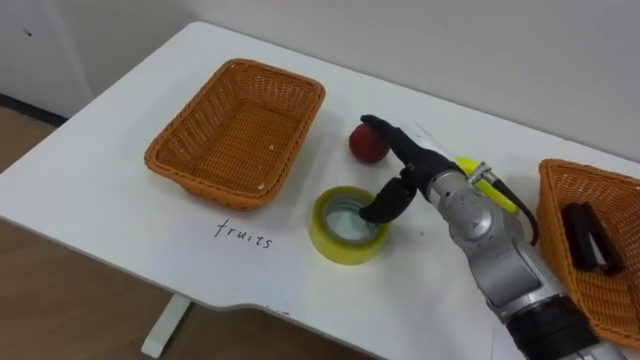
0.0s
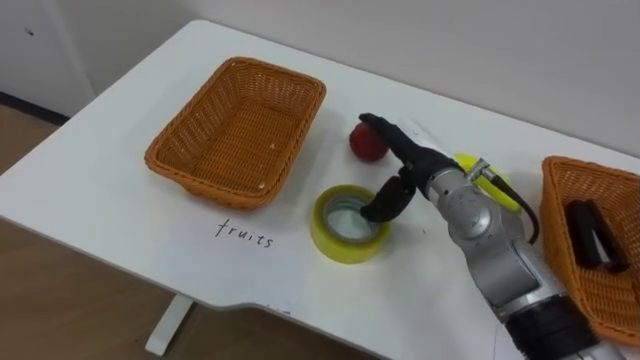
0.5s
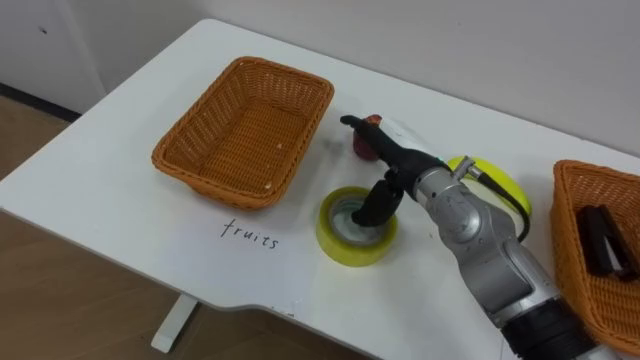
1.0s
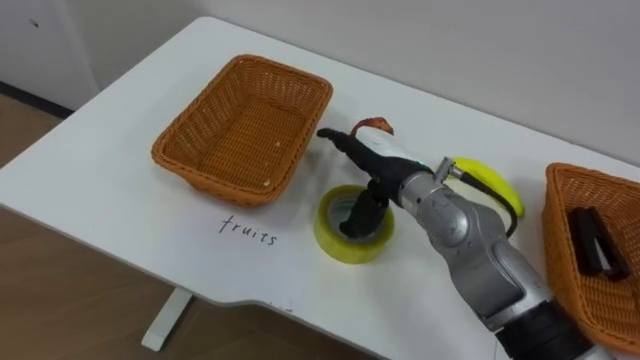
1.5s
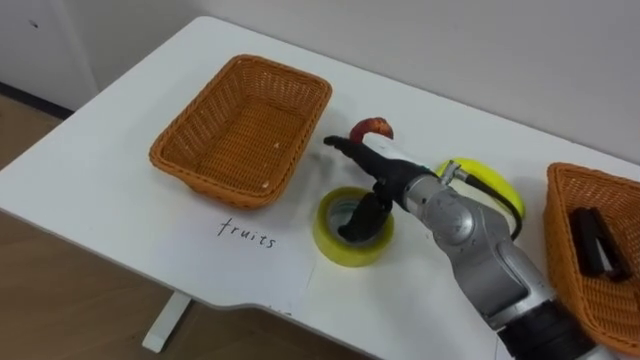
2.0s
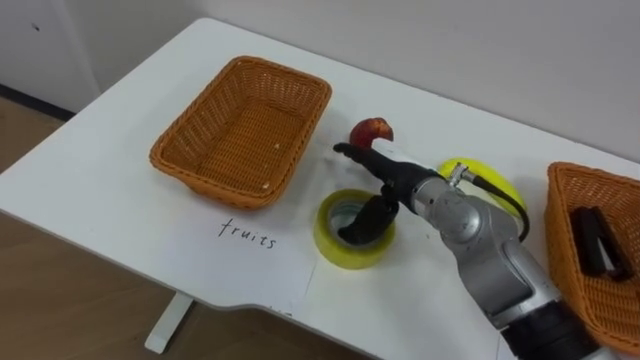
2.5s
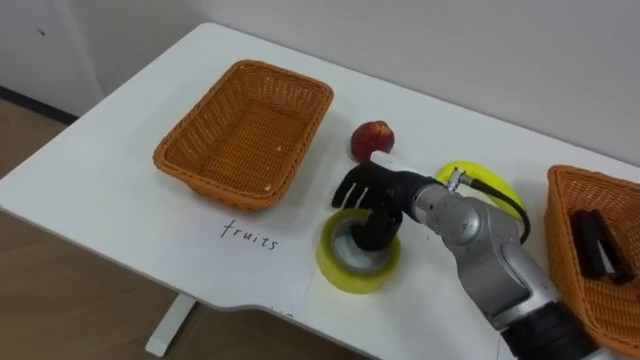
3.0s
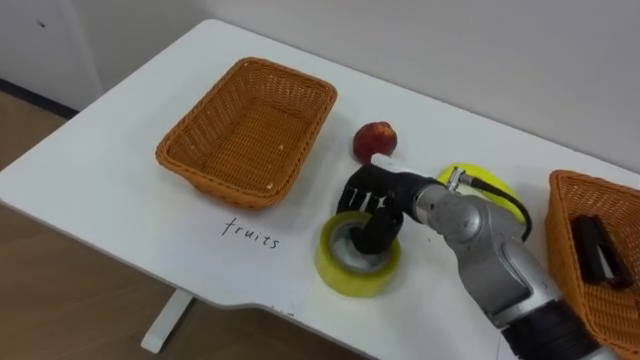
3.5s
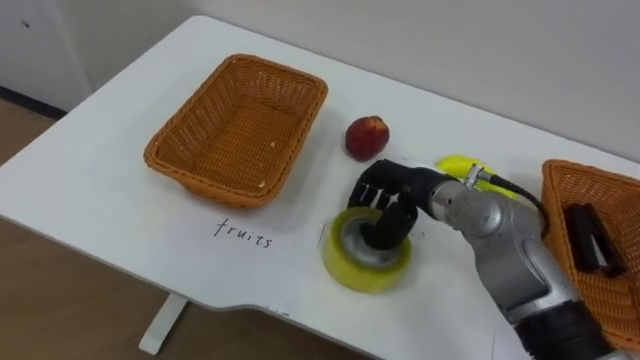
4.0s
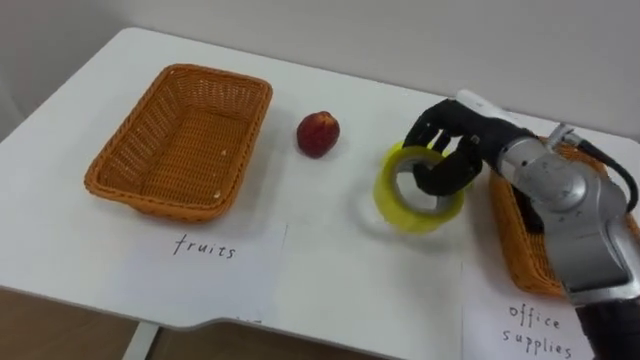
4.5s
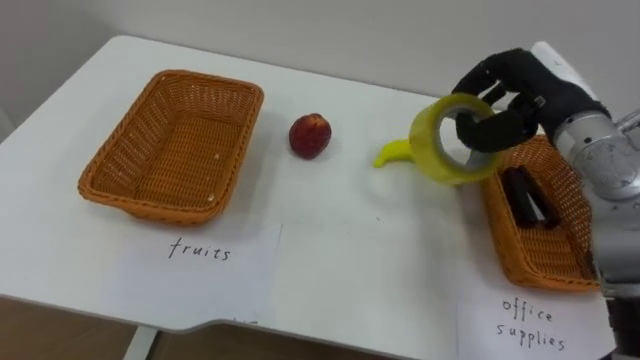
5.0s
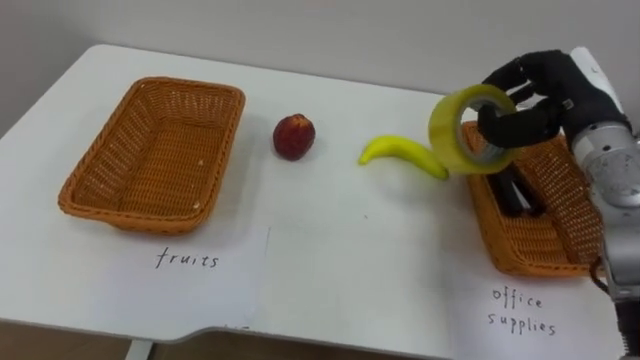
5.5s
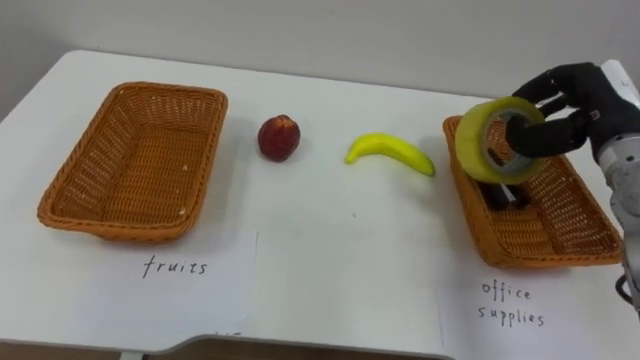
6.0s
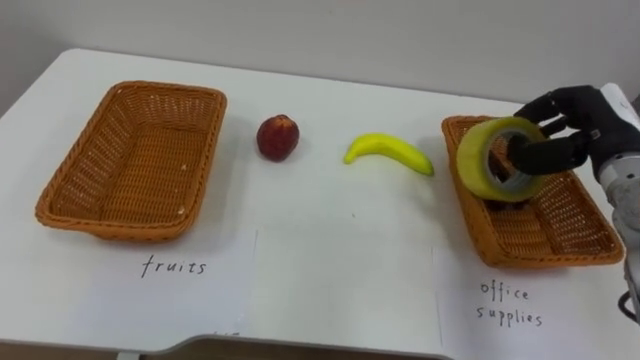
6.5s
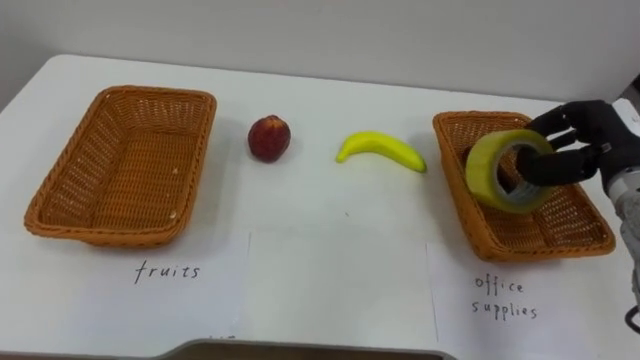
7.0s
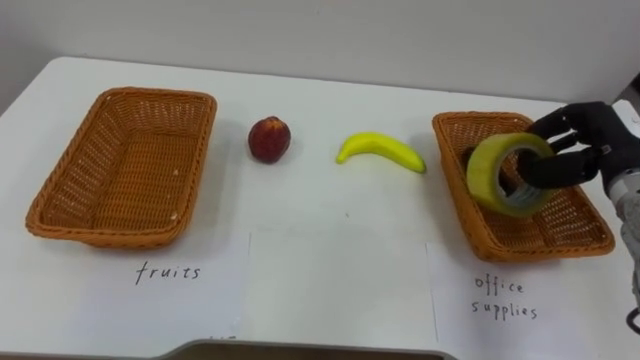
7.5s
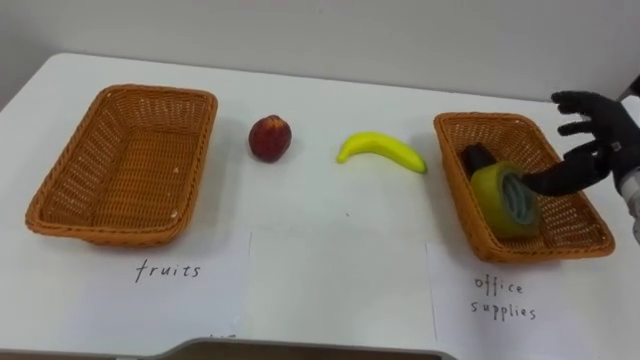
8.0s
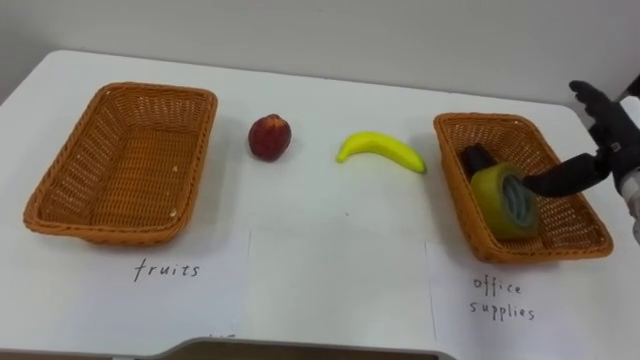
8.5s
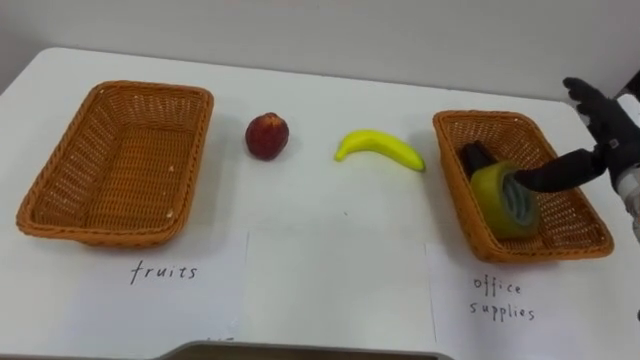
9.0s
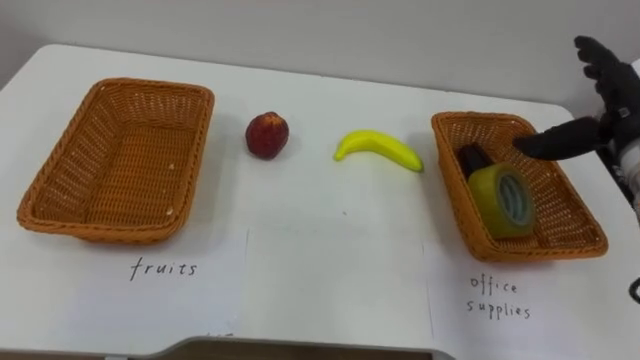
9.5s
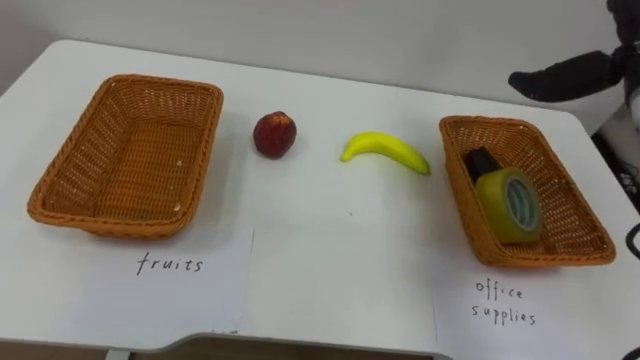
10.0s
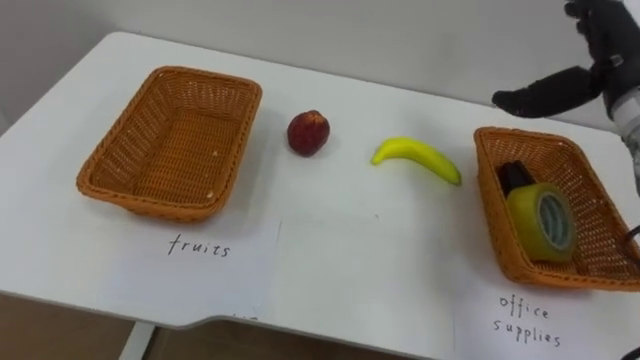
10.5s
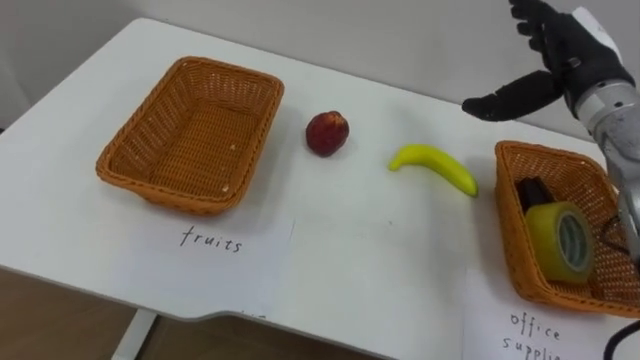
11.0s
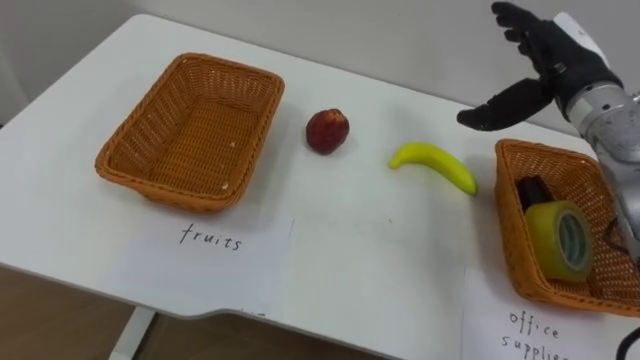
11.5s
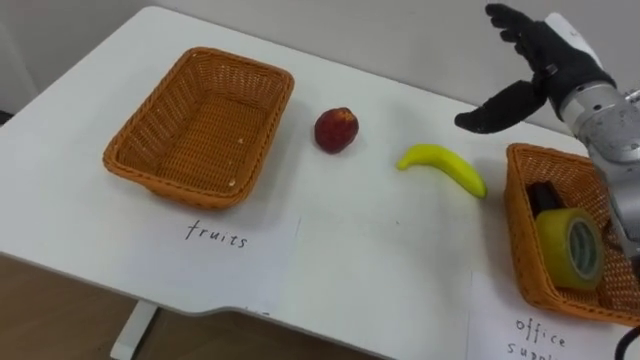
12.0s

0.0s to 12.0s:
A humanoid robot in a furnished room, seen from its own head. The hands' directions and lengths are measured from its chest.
Task of the whole recording: Separate the items on the table and place them into the two baskets.
2.0s to 4.0s: The right hand closes.
4.0s to 6.0s: The right hand heads to the right and upward, covering approximately 20 cm.
6.0s to 8.0s: The right hand changes place by some 5 cm, and opens its fingers.
8.0s to 10.0s: The right hand heads upward, covering some 10 cm.
10.0s to 12.0s: The right hand heads to the left, covering about 5 cm.

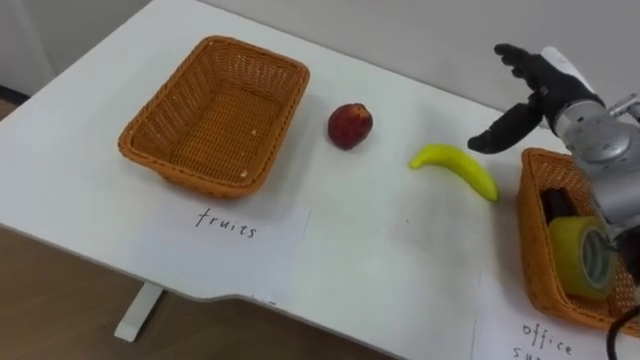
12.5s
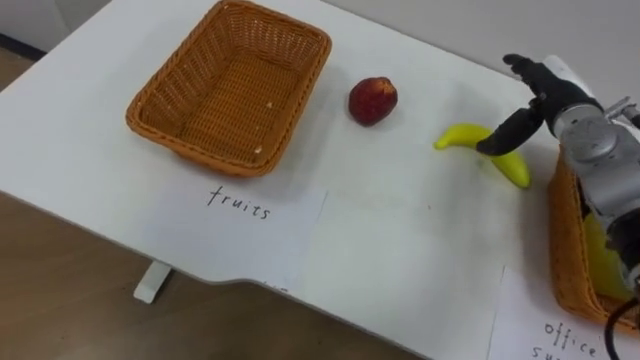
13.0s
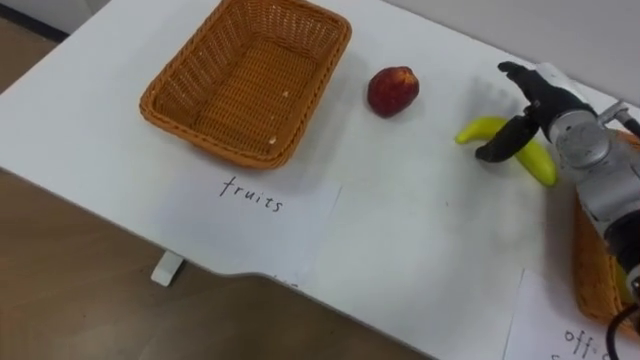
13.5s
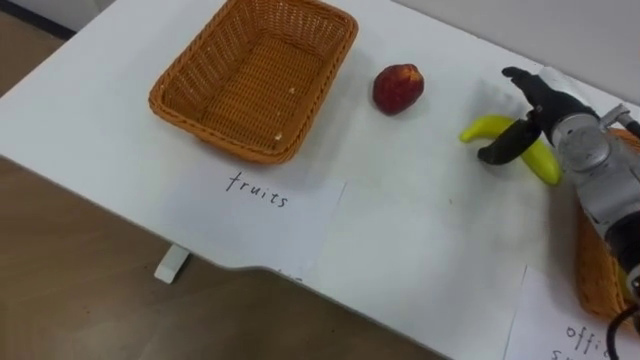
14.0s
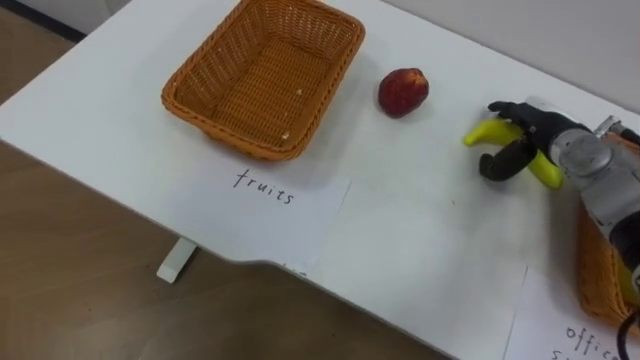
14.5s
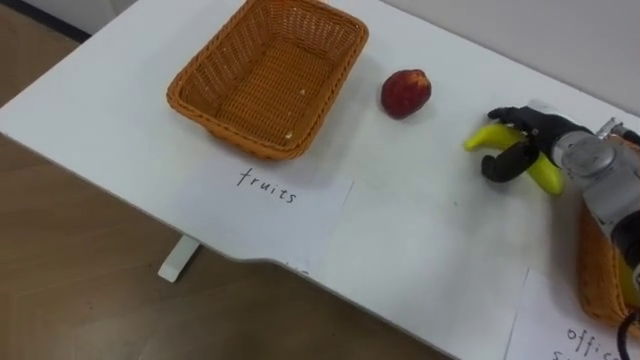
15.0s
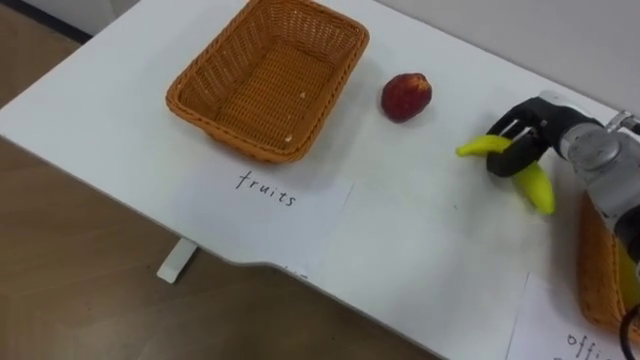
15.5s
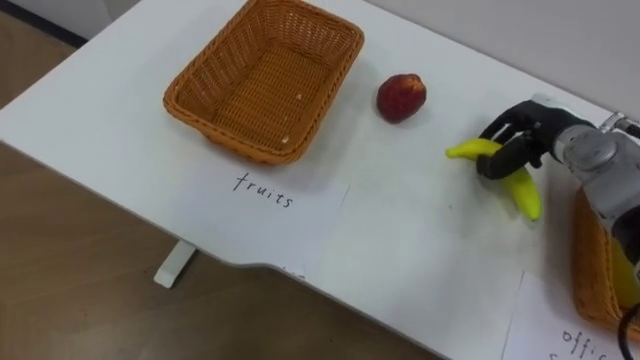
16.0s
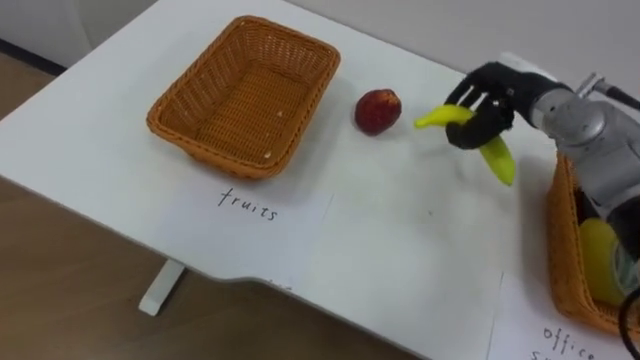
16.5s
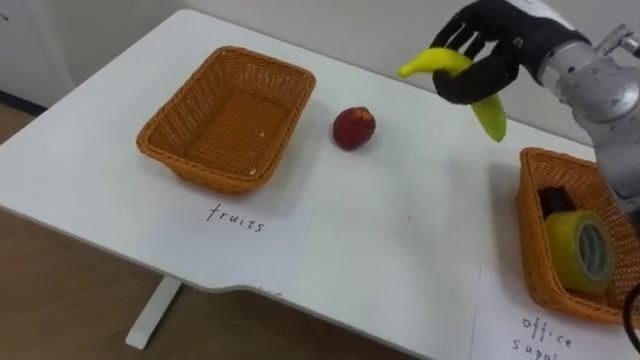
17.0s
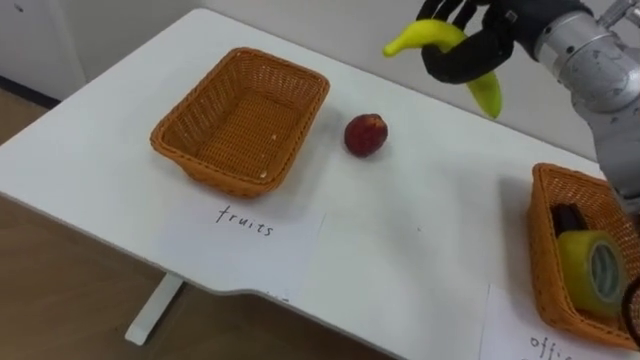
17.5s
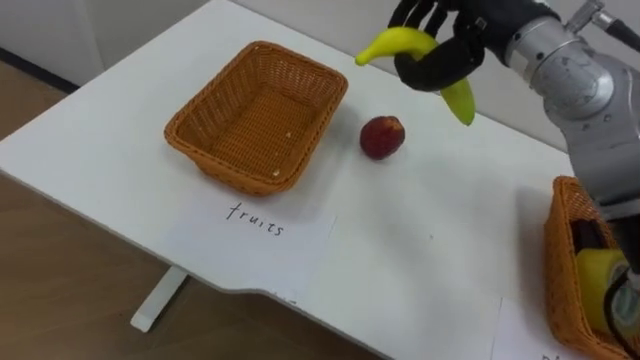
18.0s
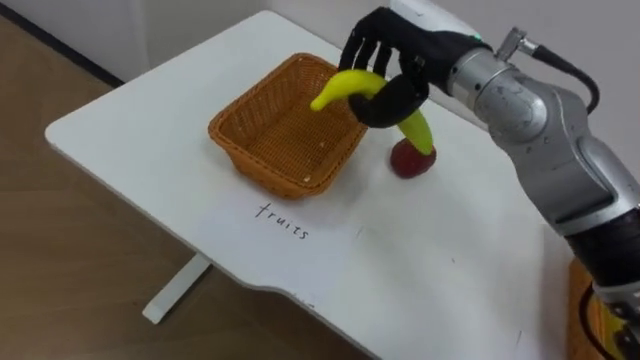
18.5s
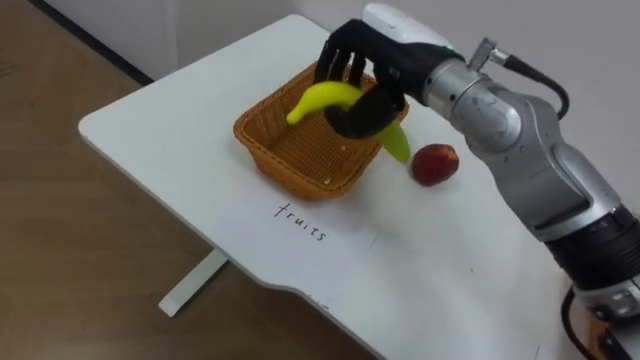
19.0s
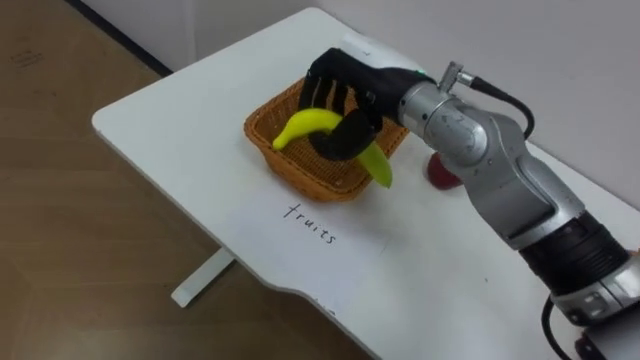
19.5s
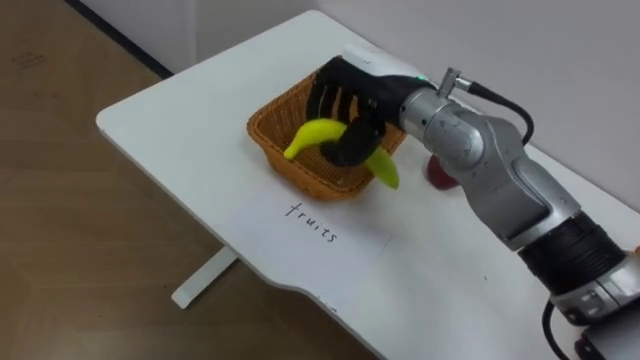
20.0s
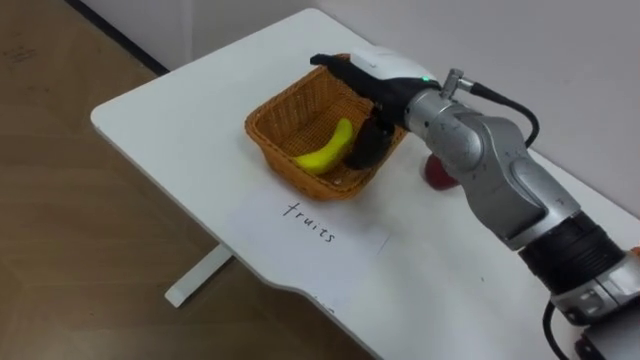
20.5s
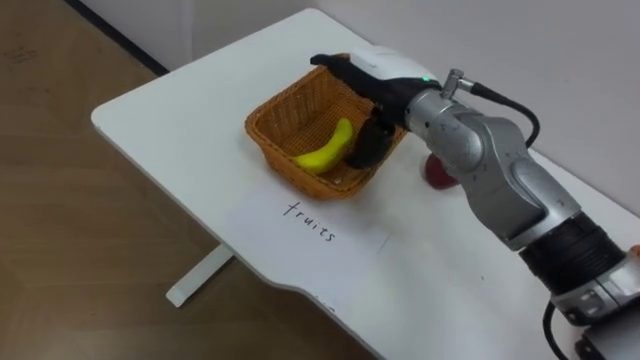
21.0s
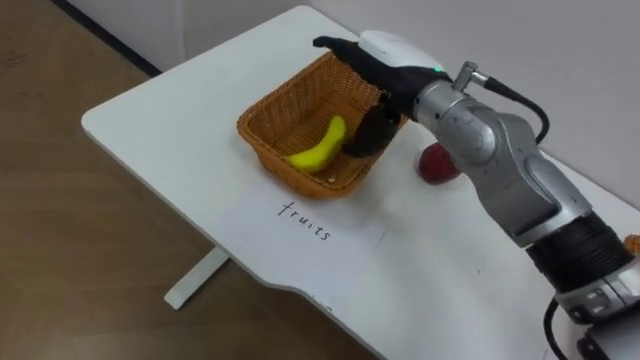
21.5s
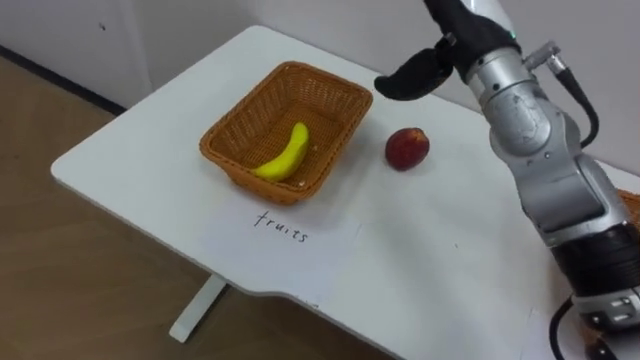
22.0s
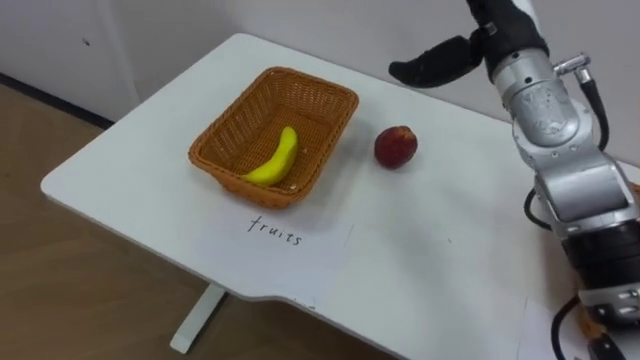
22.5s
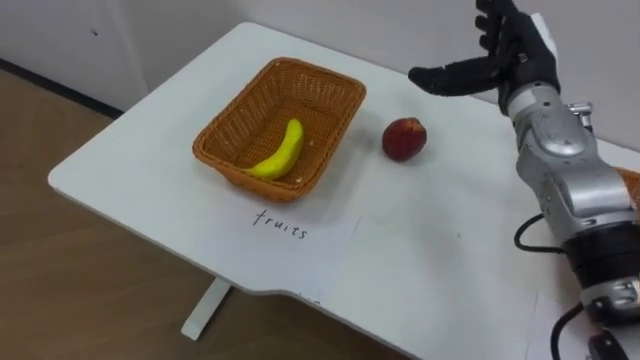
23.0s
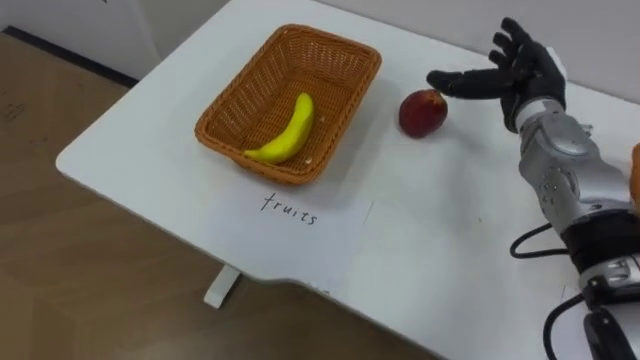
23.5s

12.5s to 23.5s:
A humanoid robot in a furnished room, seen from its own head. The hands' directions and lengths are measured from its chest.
Task of the whole recording: Separate the items on the table and place them into the two baskets.
12.5s to 14.5s: The right hand is displaced downward by roughly 5 cm.
14.5s to 16.0s: The right hand closes up.
18.0s to 20.0s: The right hand travels to the left and downward by some 15 cm.
20.0s to 21.5s: The right hand opens its fingers.
21.5s to 23.5s: The right hand is displaced to the right by approximately 15 cm.
